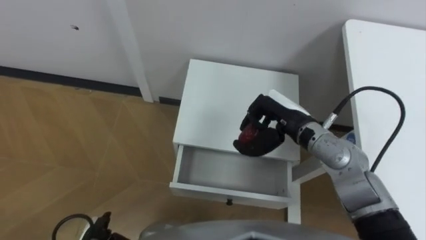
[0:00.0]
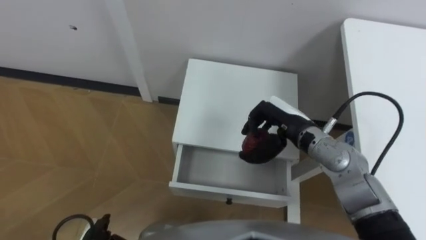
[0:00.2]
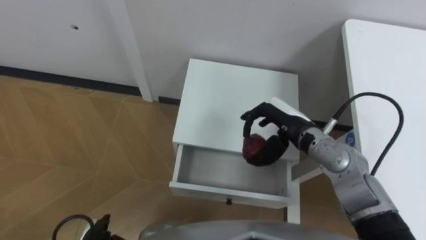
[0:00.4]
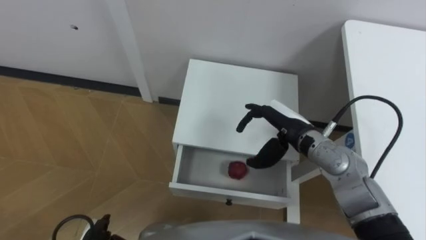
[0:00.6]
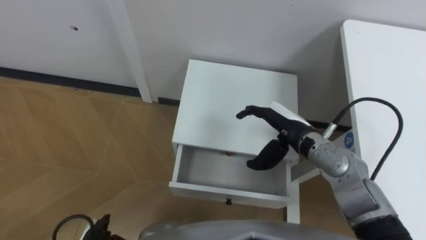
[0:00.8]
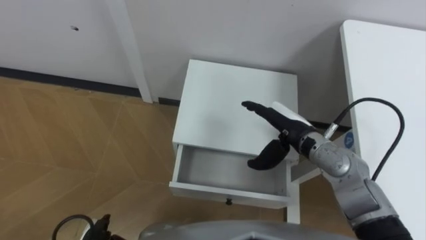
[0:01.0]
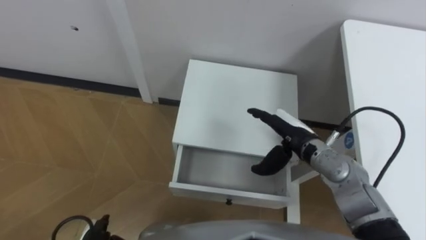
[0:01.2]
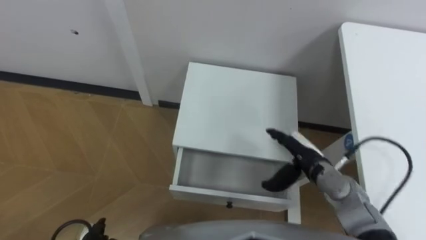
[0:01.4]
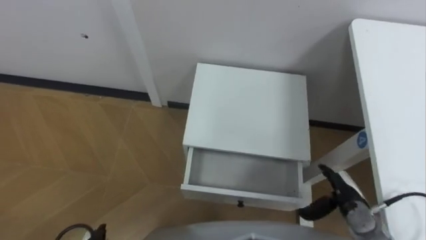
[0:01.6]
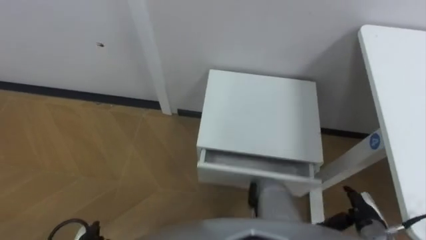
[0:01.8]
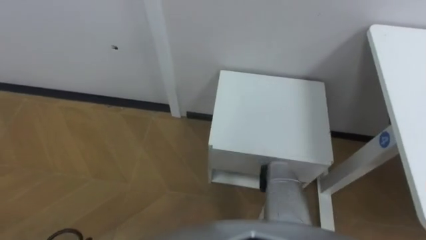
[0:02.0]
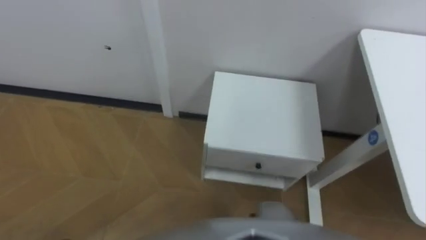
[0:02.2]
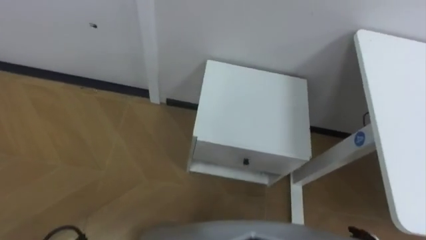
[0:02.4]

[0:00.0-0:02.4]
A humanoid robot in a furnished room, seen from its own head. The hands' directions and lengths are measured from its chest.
Task of the whole recording: Pick up the apple from the table, put it in the drawer, and close the drawer with leg.
0:00.0 to 0:01.2: The right hand opens.

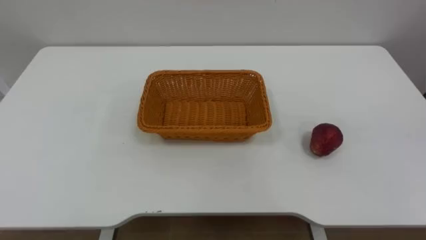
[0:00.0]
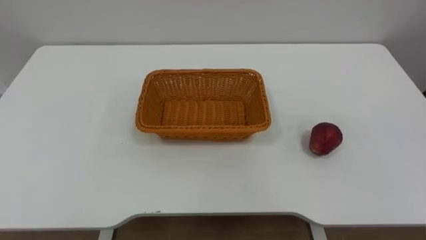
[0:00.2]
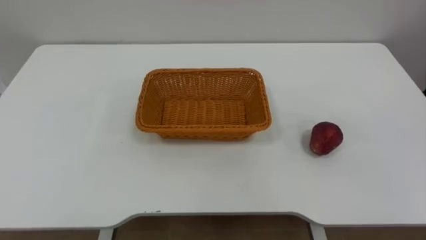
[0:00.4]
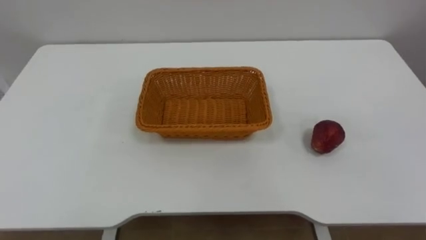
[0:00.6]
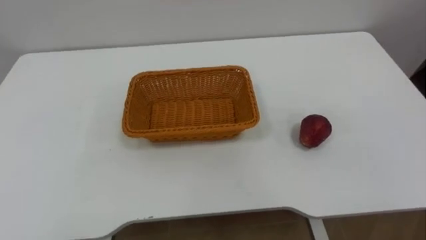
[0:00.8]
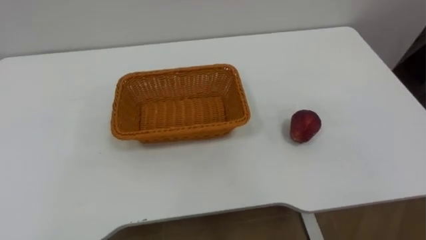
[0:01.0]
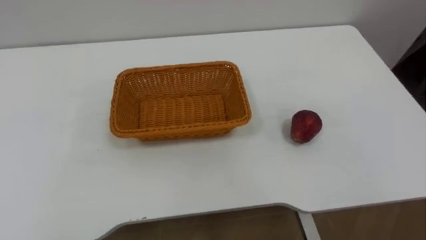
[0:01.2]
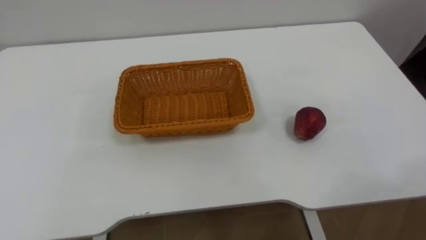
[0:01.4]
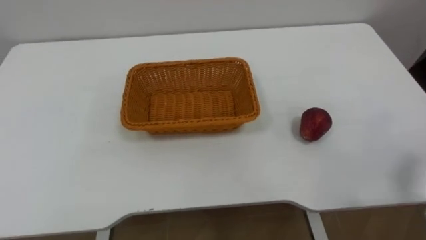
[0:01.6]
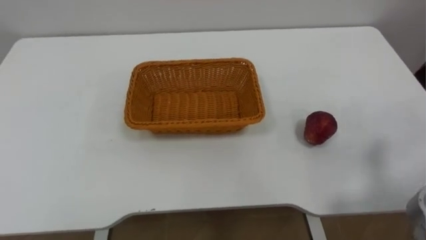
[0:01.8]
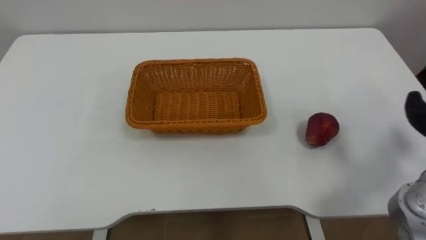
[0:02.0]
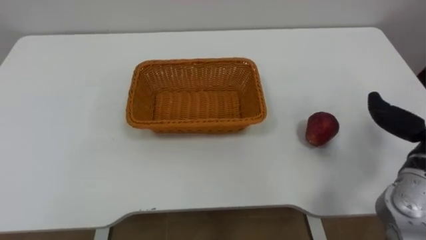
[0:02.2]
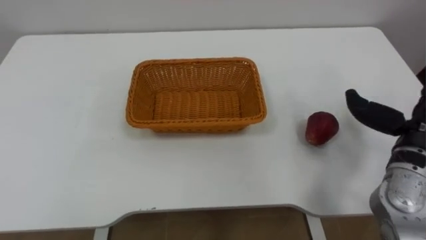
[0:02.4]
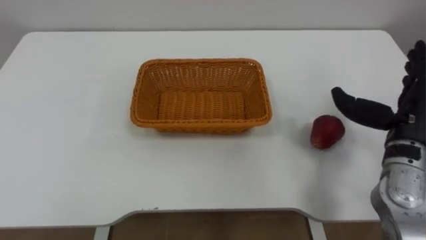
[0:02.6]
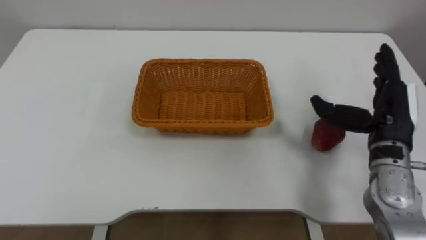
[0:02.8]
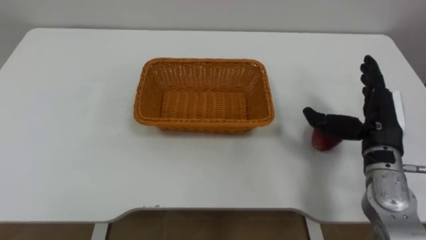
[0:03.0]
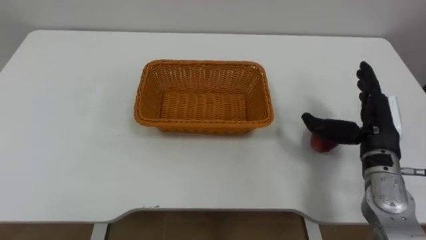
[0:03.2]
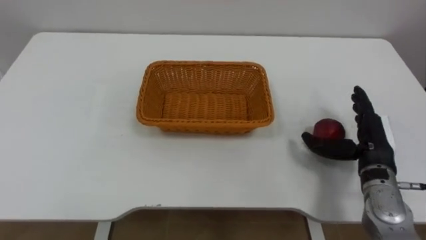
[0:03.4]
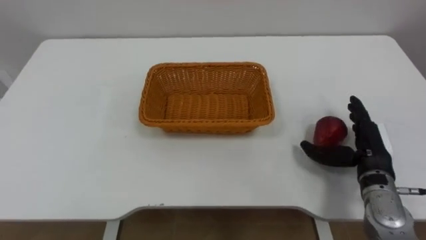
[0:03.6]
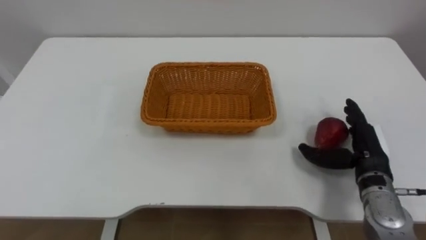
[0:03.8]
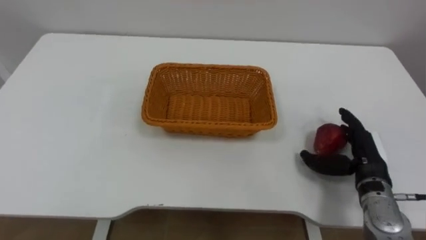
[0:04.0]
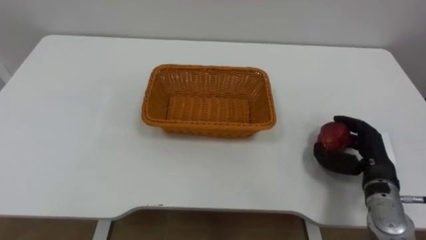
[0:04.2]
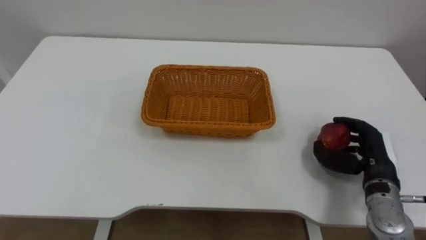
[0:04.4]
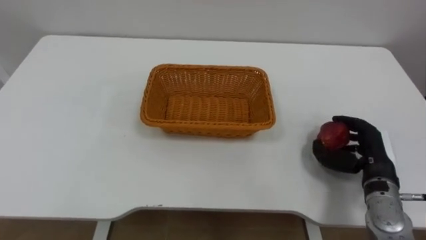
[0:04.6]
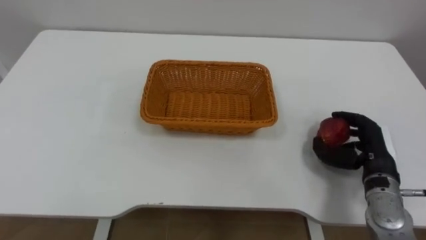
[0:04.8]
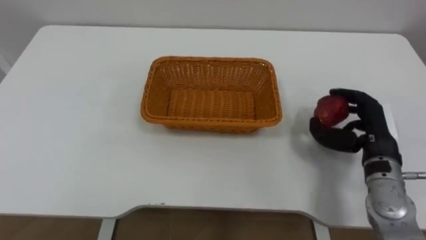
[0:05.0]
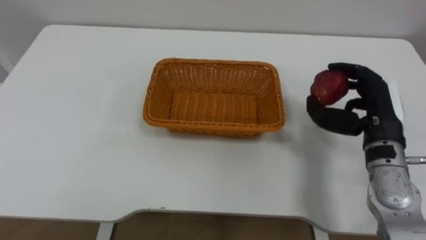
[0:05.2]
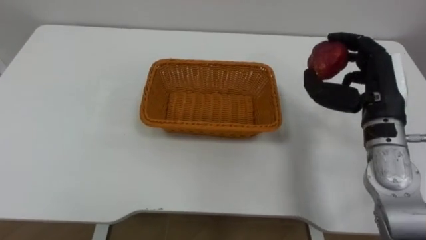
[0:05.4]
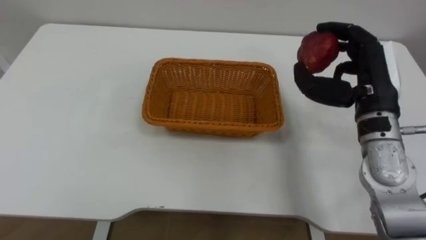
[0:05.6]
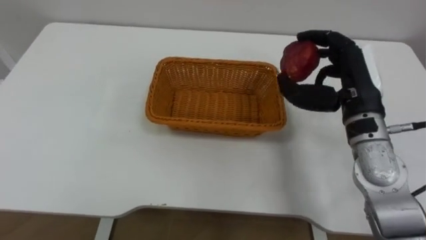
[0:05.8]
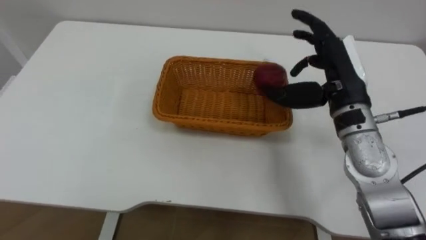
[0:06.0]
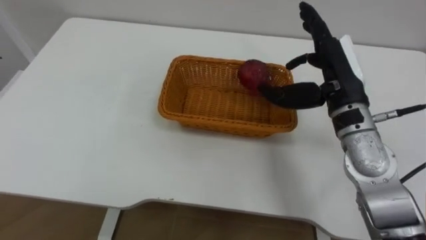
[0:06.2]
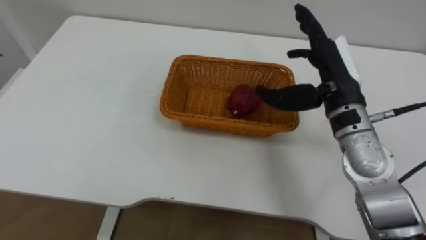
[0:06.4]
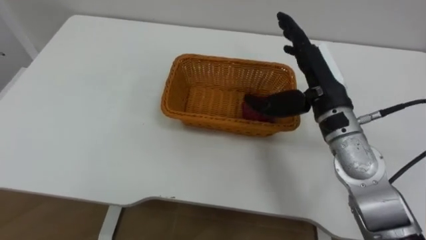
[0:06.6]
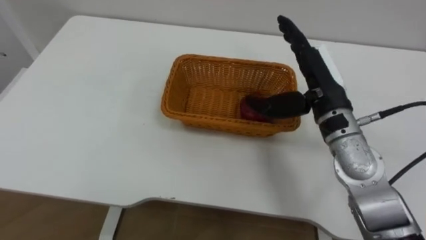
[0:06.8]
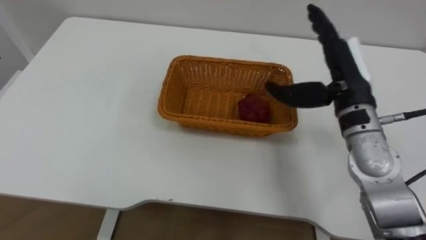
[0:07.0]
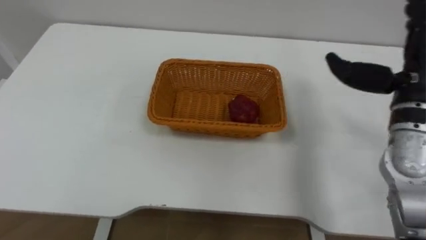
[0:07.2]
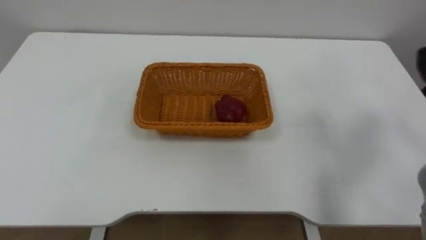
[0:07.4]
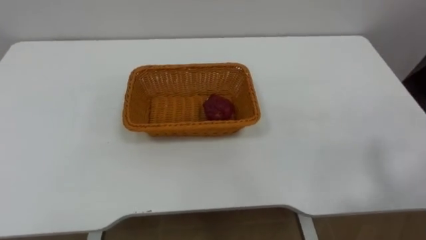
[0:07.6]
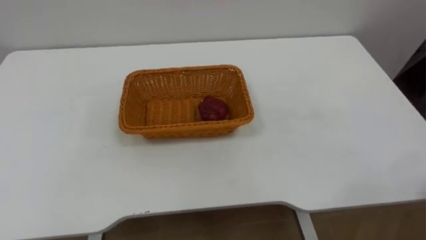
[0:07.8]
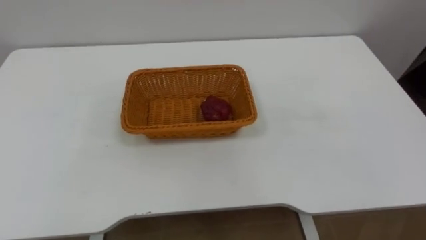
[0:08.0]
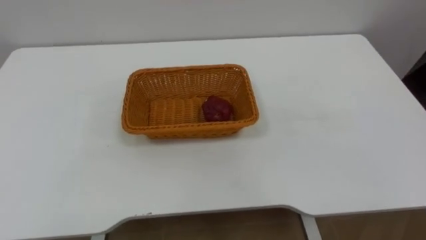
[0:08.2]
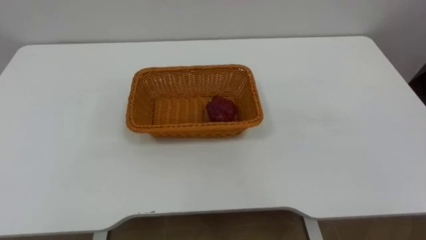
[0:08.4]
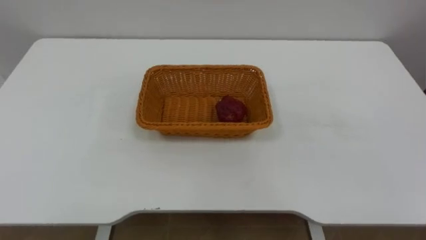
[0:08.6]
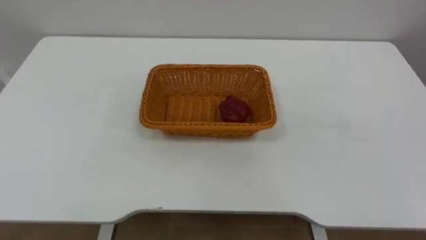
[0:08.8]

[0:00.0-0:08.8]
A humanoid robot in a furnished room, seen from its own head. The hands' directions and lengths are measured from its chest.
Task of the whole recording: Pick the apple and place it in the box.
0:03.0 to 0:04.4: The right hand is displaced downward by about 10 cm, and closes up.
0:04.4 to 0:05.8: The right hand shifts some 15 cm upward and to the left.

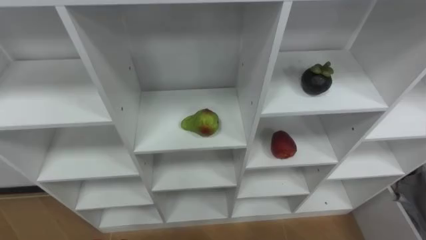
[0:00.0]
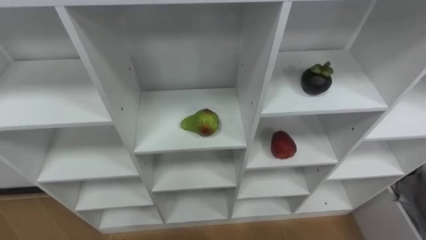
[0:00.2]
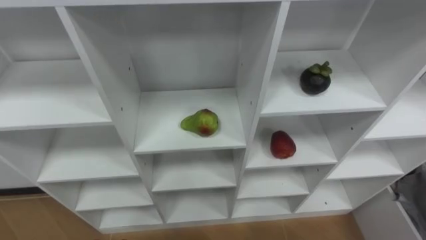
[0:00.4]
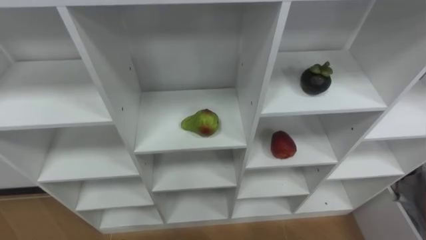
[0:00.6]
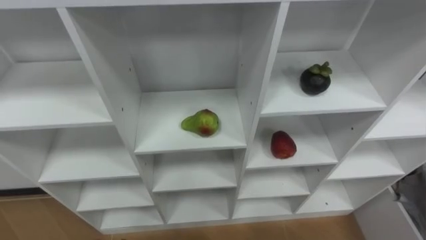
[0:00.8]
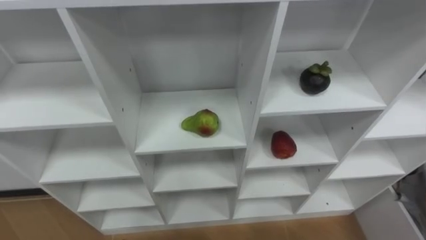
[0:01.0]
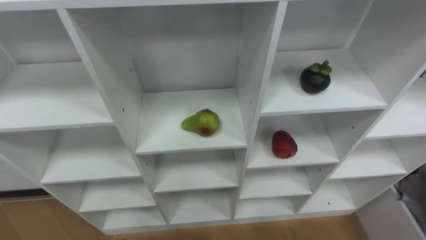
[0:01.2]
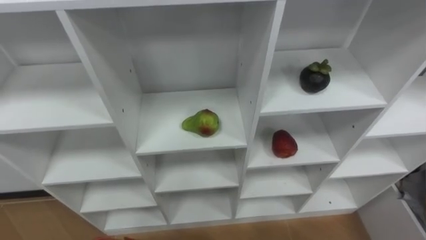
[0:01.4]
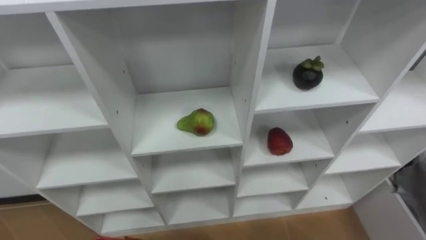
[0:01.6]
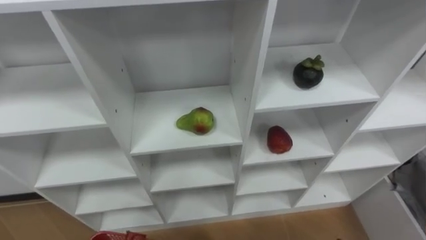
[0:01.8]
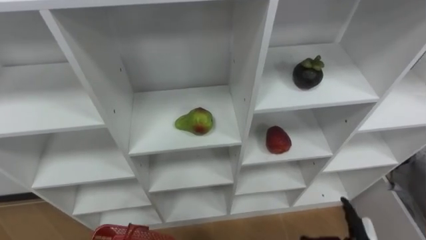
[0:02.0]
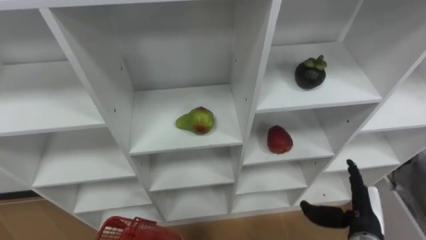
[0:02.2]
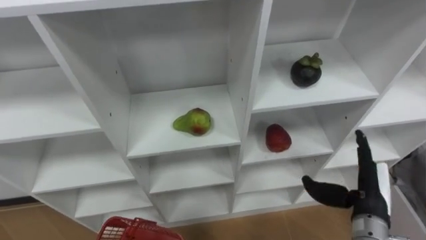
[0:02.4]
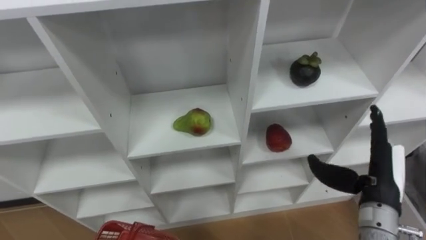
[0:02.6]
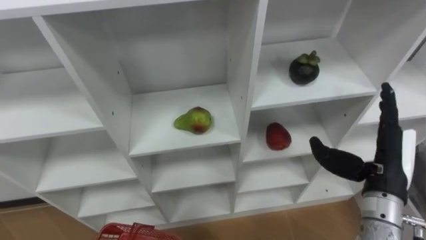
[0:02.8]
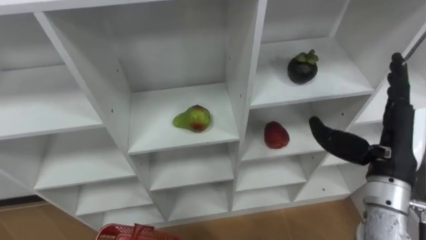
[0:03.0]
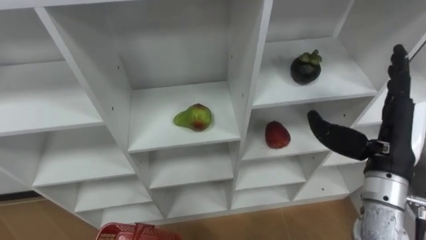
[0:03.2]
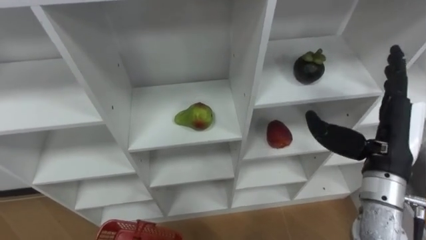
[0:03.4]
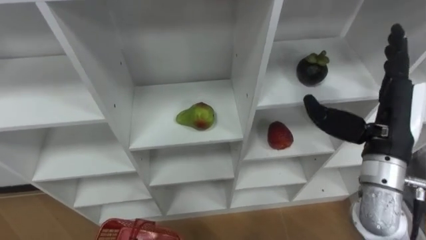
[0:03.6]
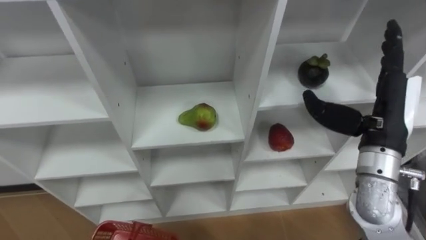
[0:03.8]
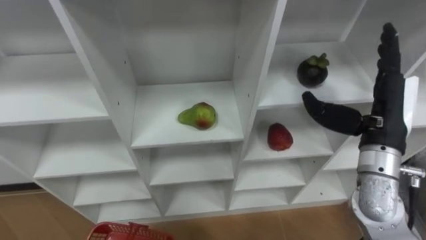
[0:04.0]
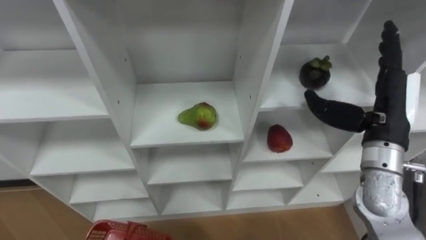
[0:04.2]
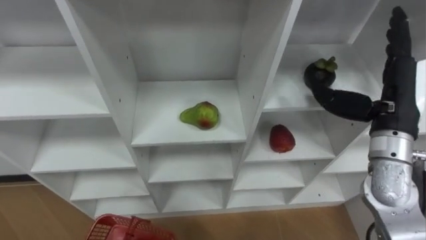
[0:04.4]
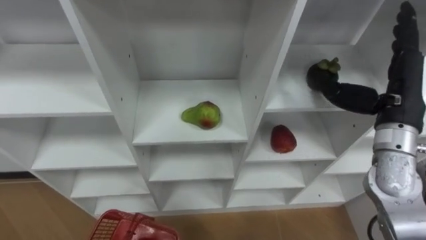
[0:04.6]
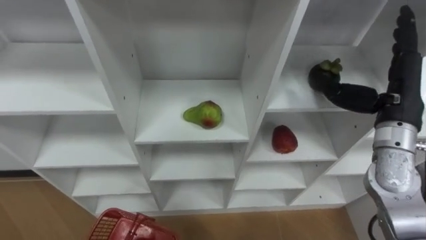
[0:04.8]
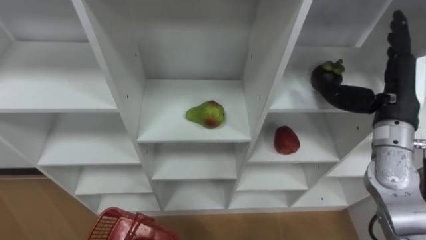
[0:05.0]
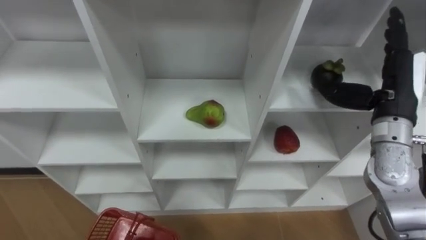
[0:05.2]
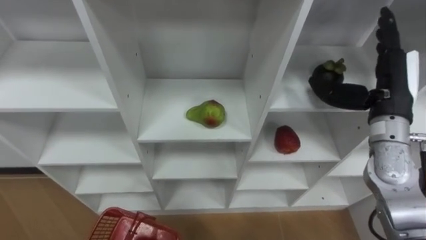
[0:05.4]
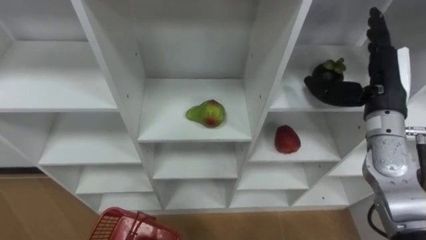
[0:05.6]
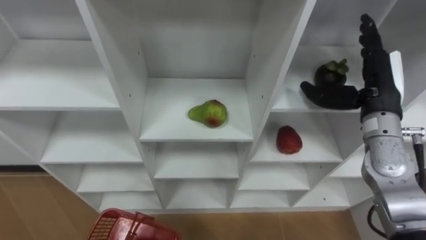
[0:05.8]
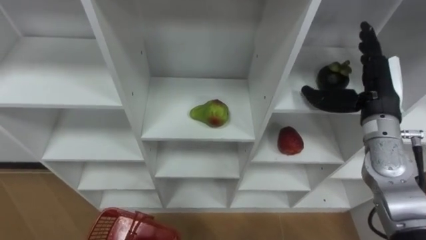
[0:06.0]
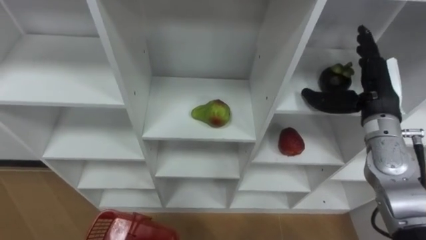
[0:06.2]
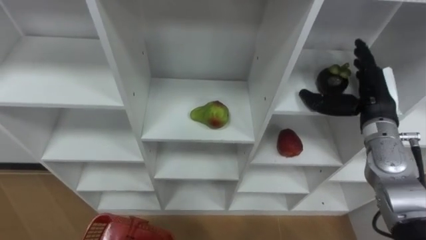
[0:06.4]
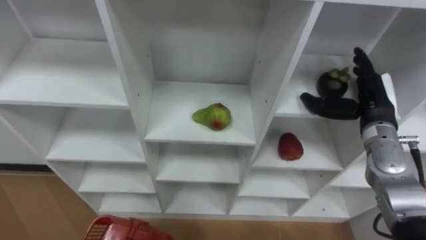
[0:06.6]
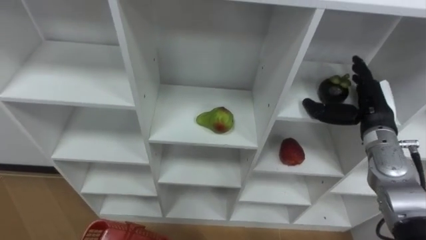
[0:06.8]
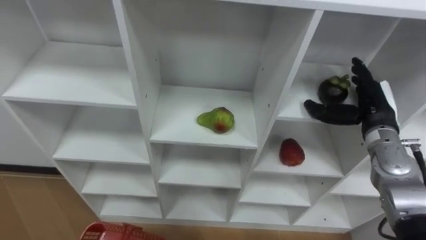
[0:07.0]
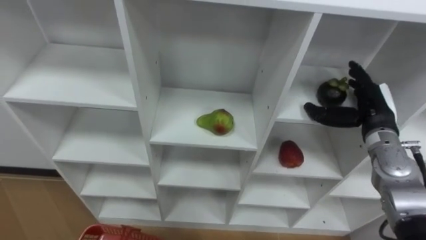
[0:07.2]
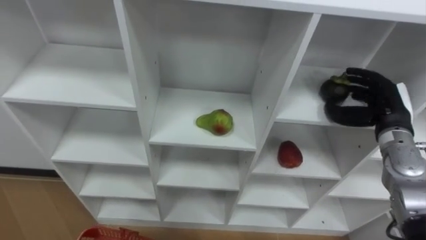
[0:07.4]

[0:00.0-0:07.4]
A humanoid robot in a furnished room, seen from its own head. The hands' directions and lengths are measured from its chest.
Task of the whole recording: Hold the basket and collect the fruits from 3 different cells of the closet into it.
0:03.0 to 0:04.4: The right hand moves forward, roughly 5 cm.
0:04.4 to 0:06.0: The right hand moves roughly 5 cm.
0:06.0 to 0:07.4: The right hand moves downward, roughly 5 cm.
